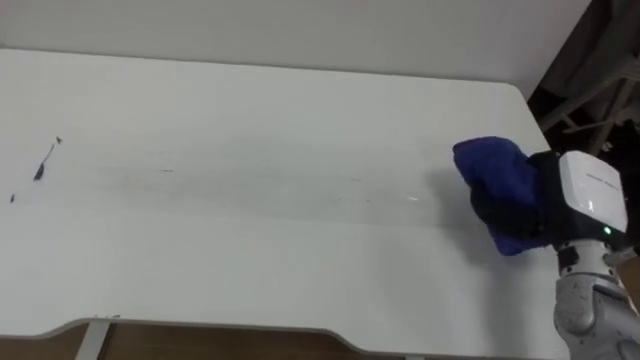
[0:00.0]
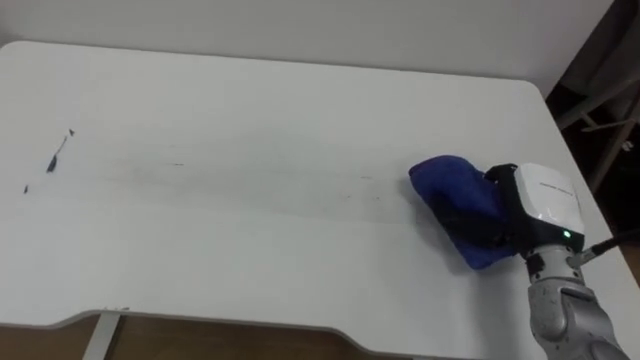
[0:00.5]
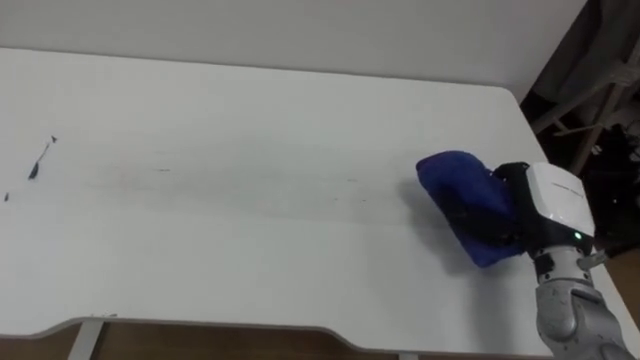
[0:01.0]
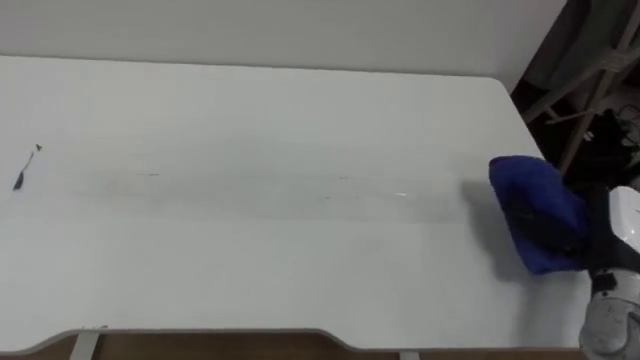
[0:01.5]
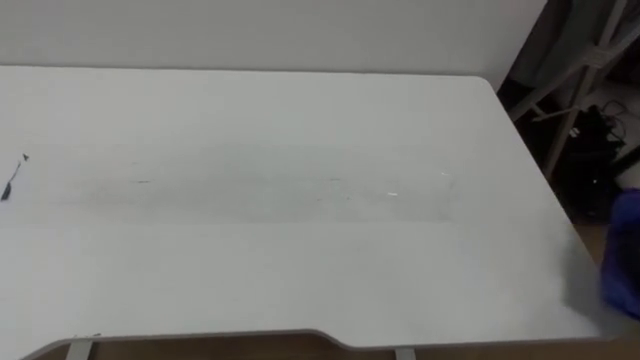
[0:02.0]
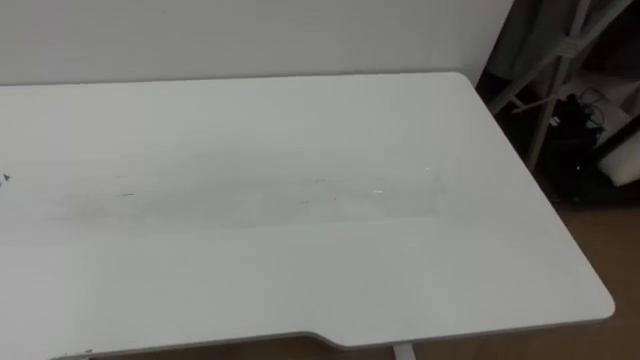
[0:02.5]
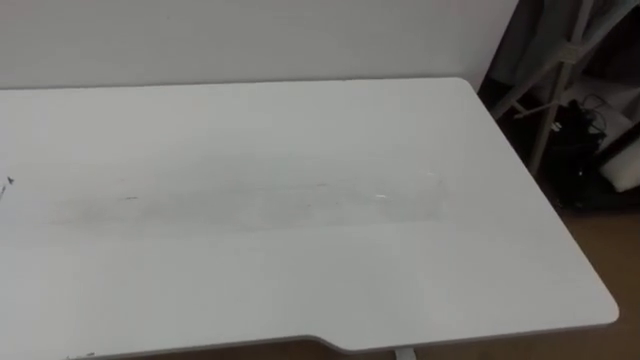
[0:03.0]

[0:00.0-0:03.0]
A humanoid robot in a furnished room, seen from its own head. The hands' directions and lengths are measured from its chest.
Task of the whole recording: Wipe the blue pen marks off the table with the rag.
0:00.0 to 0:01.5: The right hand shifts by about 5 cm.

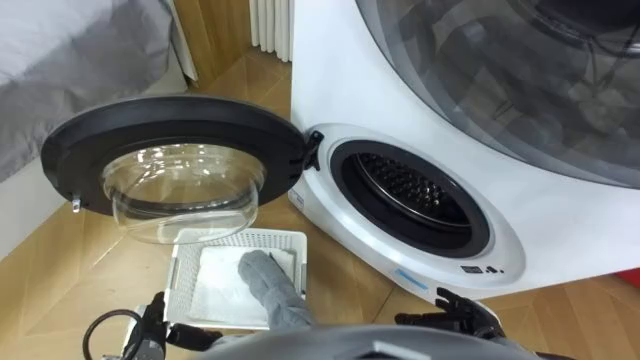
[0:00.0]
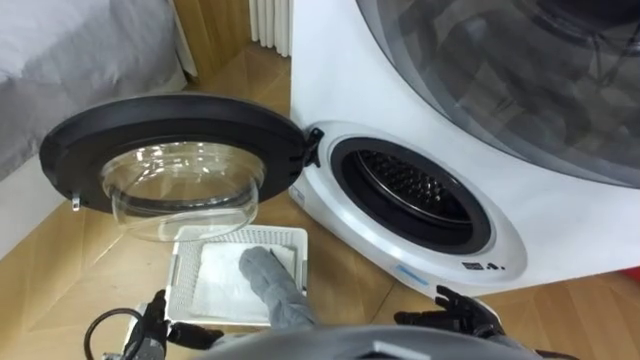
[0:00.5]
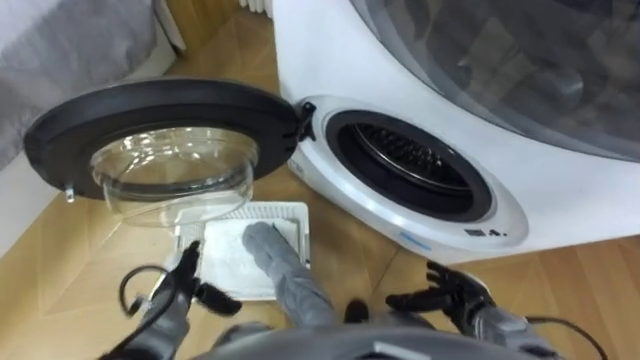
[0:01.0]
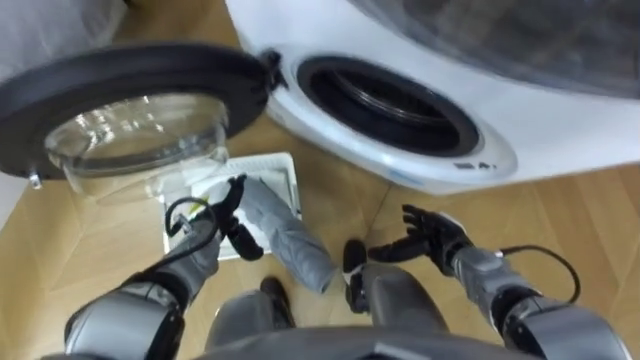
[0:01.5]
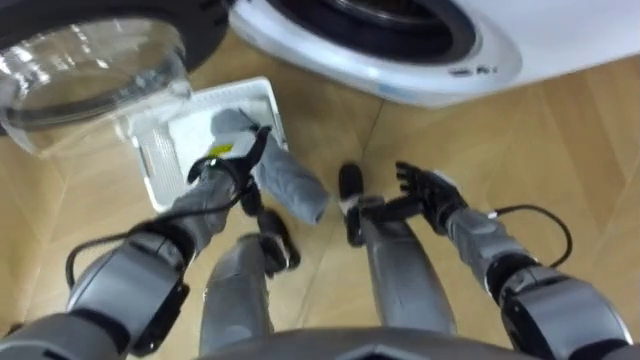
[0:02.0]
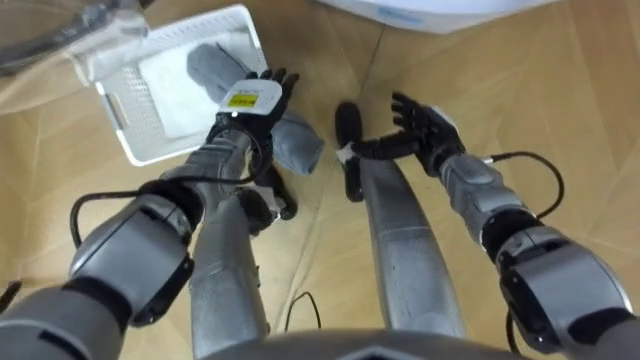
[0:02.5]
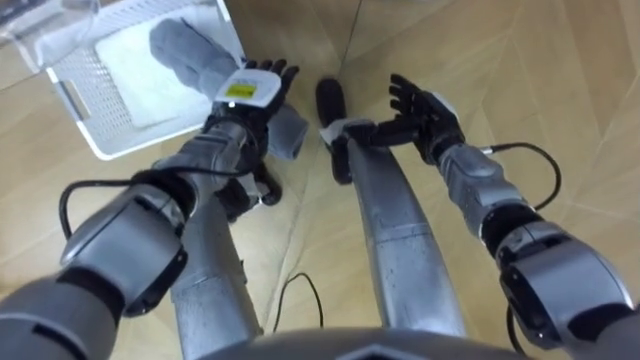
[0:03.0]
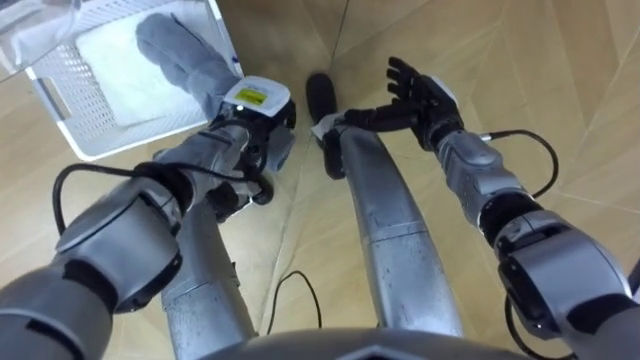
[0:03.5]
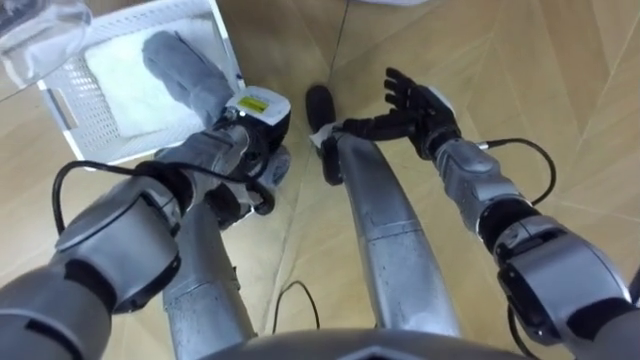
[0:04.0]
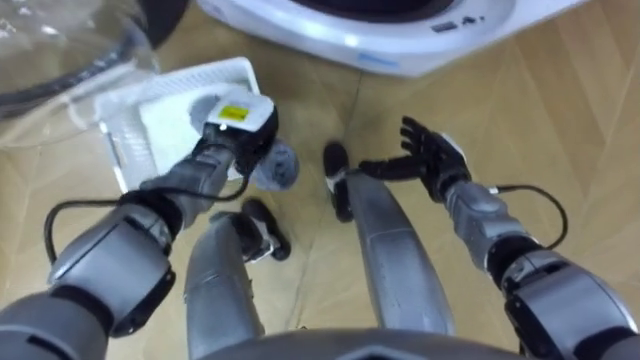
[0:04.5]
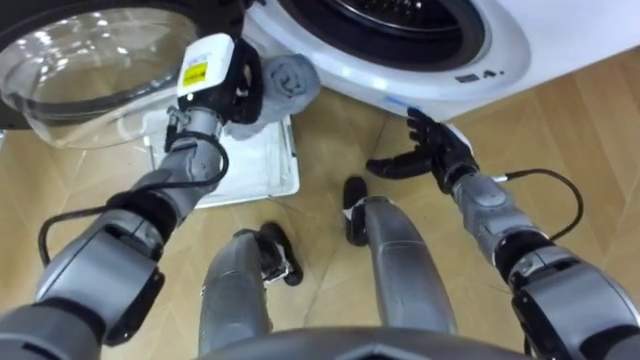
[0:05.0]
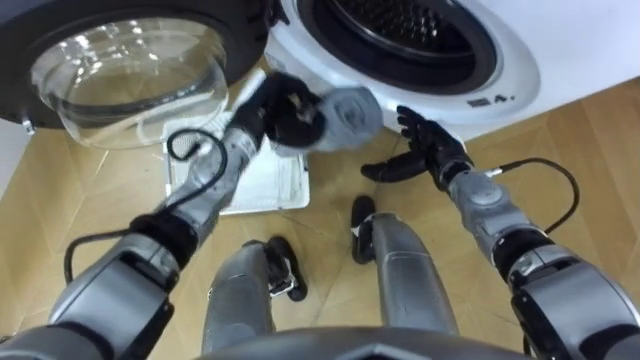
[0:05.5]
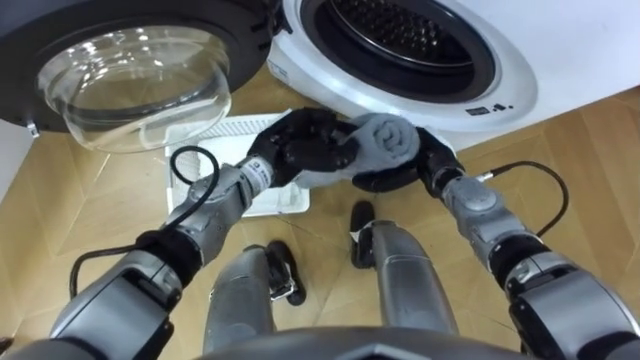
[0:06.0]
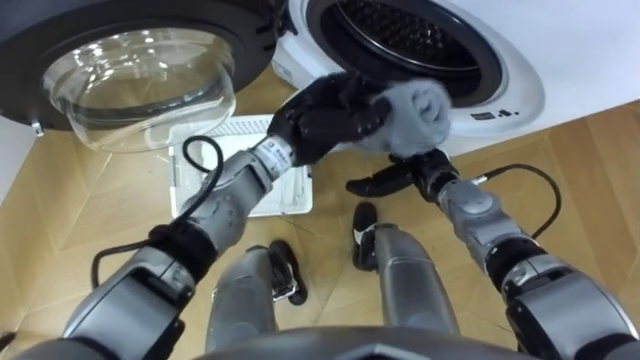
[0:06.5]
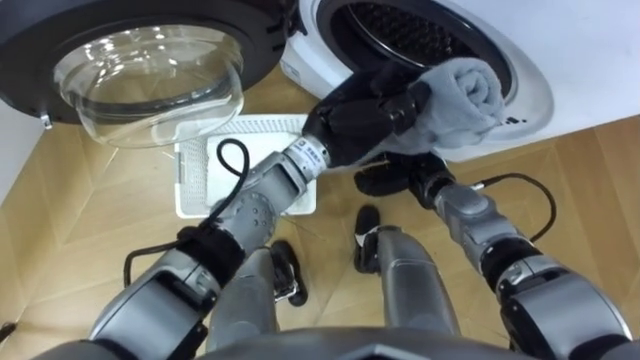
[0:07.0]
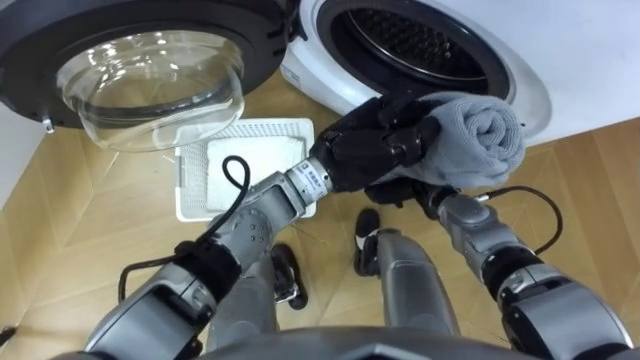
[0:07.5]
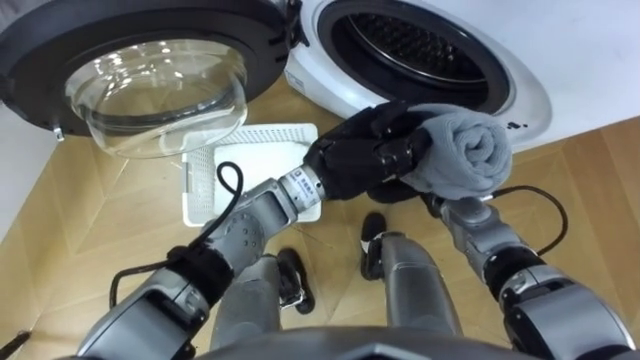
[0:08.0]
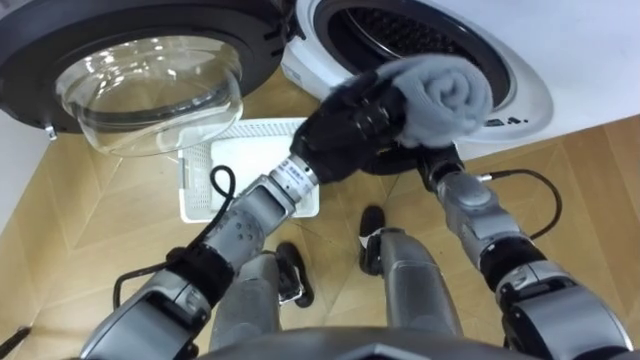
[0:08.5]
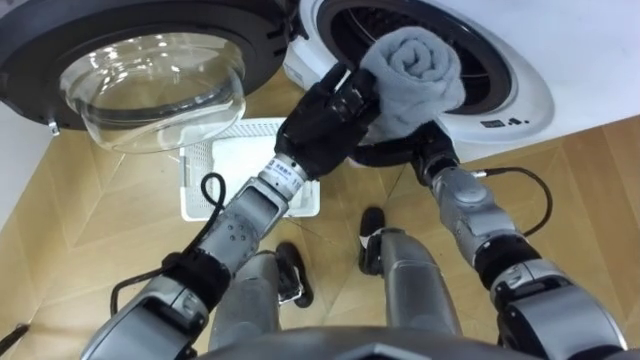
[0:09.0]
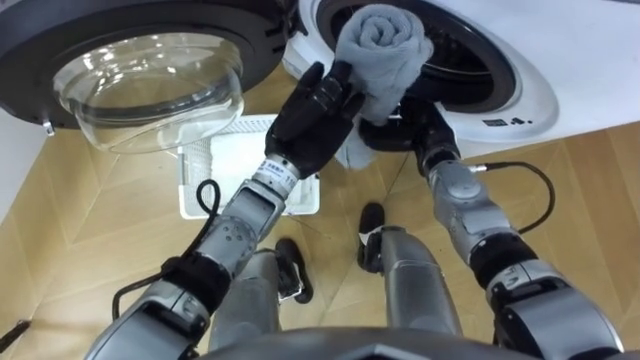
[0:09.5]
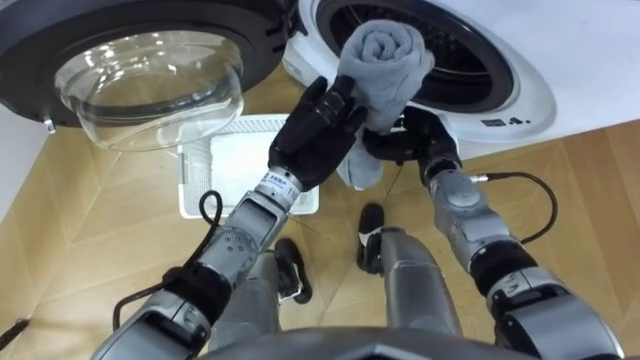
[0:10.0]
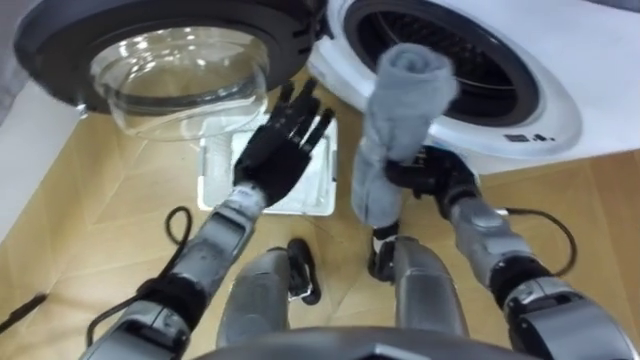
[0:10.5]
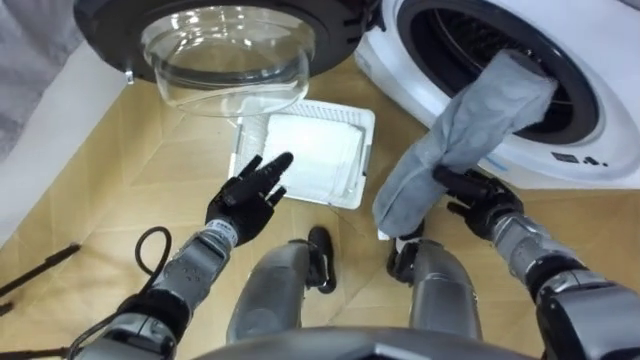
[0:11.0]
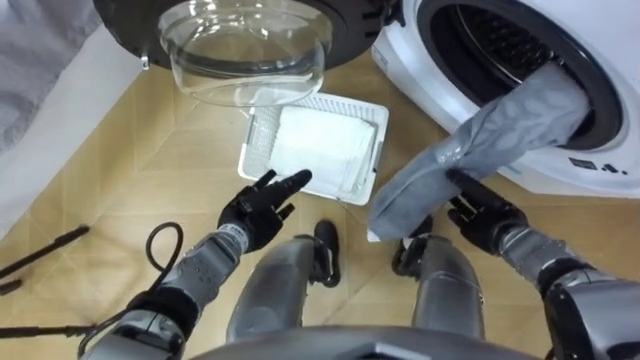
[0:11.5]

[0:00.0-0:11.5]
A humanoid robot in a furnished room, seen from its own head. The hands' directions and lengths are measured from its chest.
Task of the whole recording: Take the towel from the basket and put it into the washing machine.
0:02.0 to 0:04.0: The left hand changes place by about 5 cm, and closes its fingers. The right hand goes roughly 10 cm forward and upward.
0:04.0 to 0:06.0: The left hand ends up some 5 cm from where it was. Meanwhile the right hand moves about 5 cm.
0:06.0 to 0:07.5: The left hand heads to the right and upward, covering roughly 10 cm. The right hand closes up.
0:07.5 to 0:09.5: The right hand travels upward by some 5 cm, and opens its fingers, while the left hand heads to the left, covering about 5 cm.
0:09.5 to 0:11.5: The left hand moves downward, to the left and backward, roughly 20 cm, and opens its fingers, while the right hand is displaced to the right, backward and downward by approximately 20 cm.

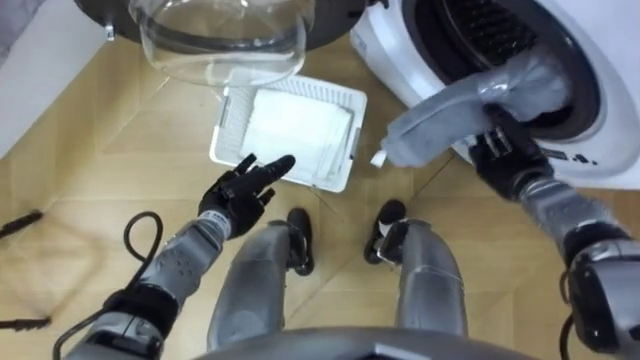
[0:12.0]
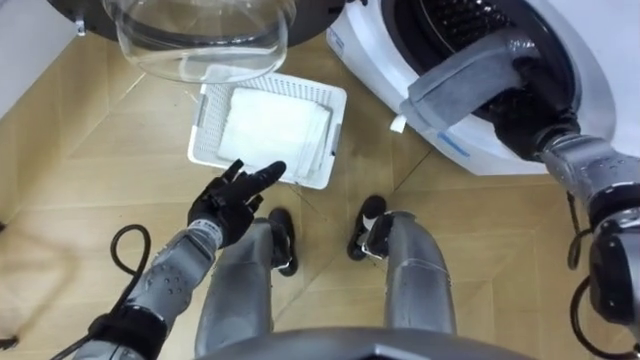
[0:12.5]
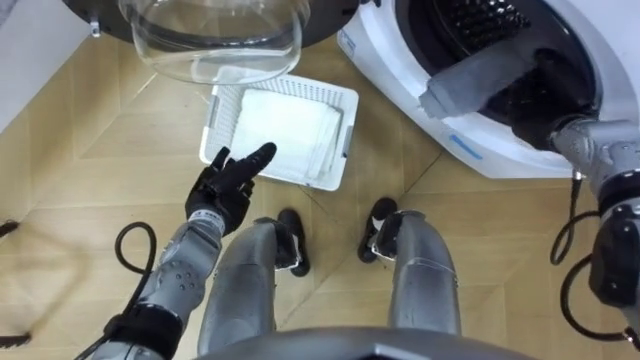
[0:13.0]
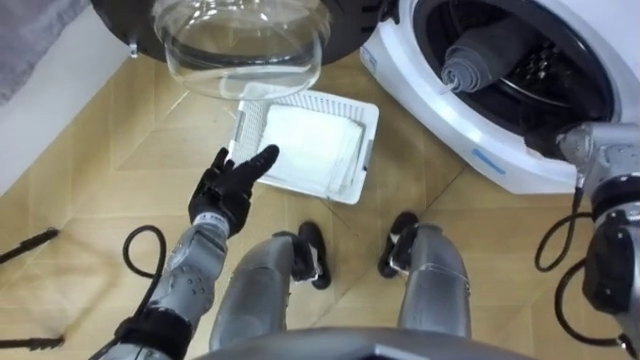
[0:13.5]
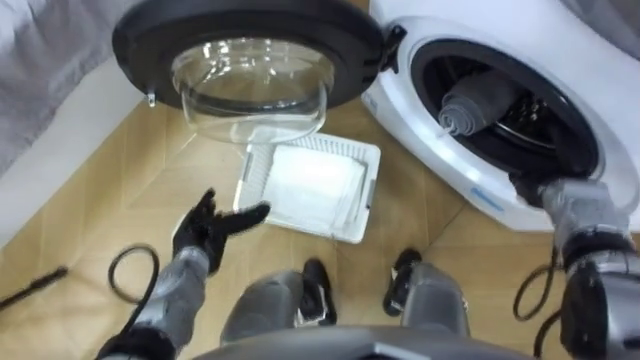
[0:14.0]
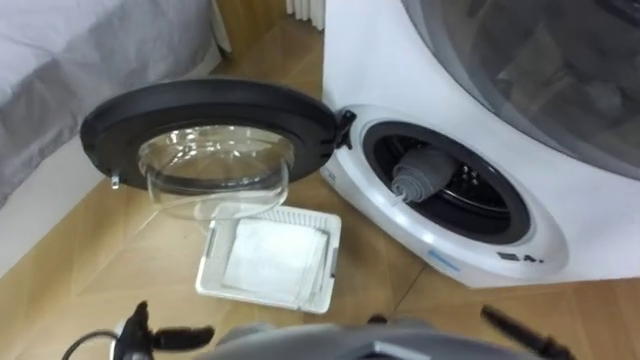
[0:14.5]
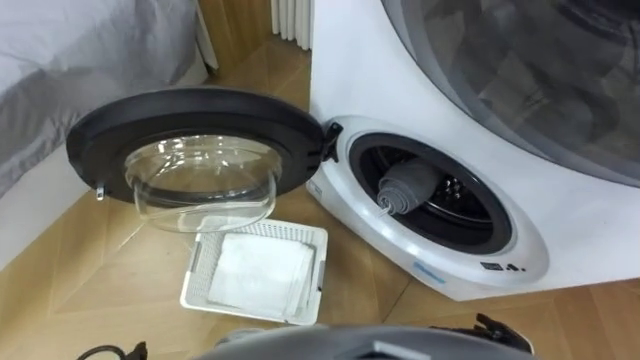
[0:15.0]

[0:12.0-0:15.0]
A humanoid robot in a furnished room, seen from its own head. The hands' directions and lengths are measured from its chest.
Task of the whole recording: Take the towel from the basket and put it into the washing machine.
0:12.0 to 0:13.5: The right hand travels to the right by roughly 5 cm, and opens.

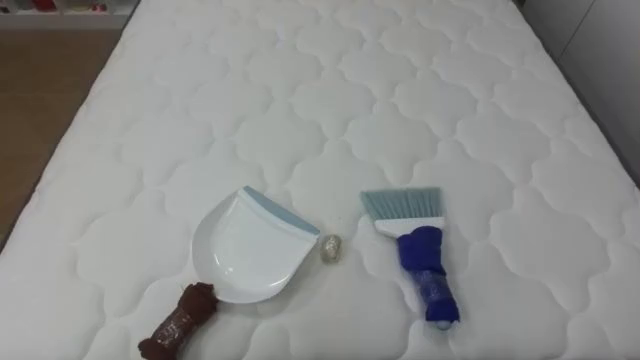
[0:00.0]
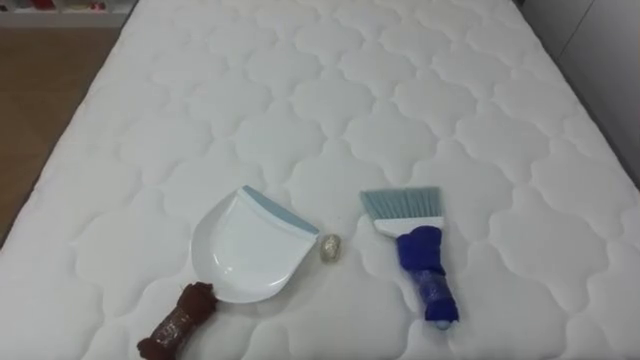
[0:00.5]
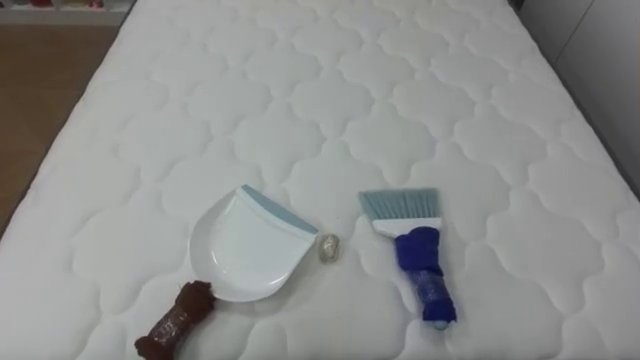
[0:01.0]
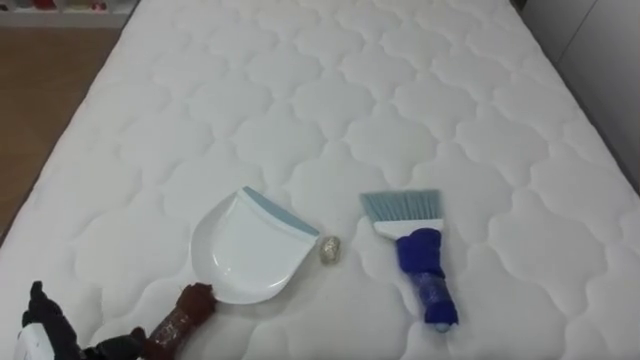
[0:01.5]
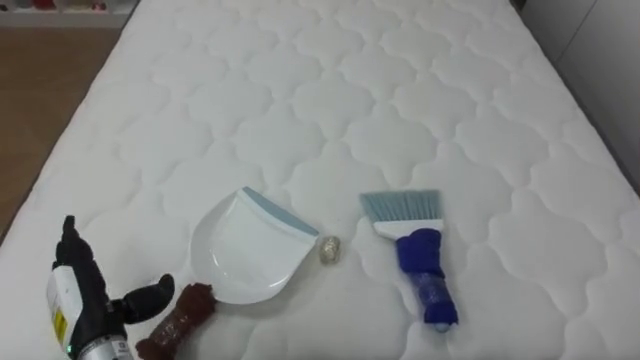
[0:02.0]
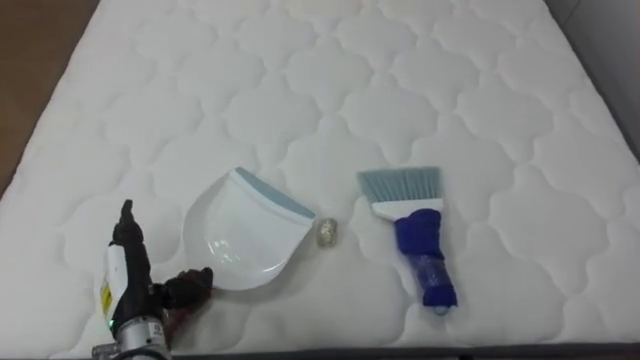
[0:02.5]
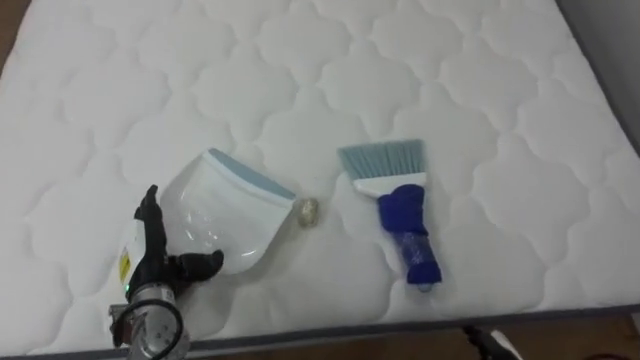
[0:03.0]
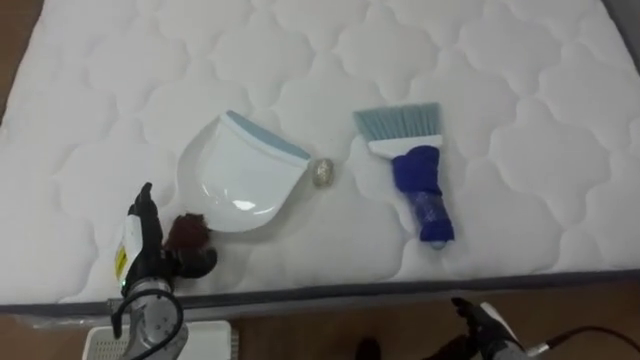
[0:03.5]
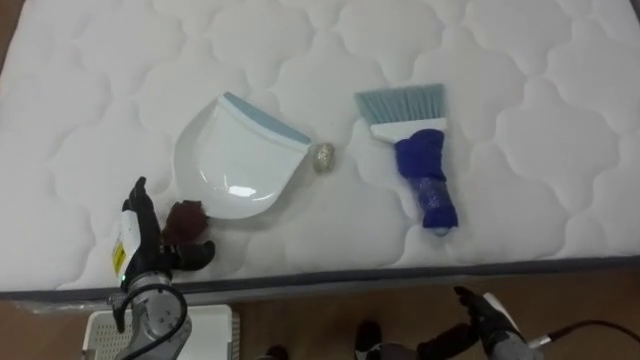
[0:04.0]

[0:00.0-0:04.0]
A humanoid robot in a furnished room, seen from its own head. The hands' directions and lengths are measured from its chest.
Task of the whole recording: Pick up the brush on your right and the dustpan on your left. Use the brush to sweep the crumpled paper on the bed into the dustpan, then turn left and empty it into the basket.
0:02.0 to 0:04.0: The left hand shifts about 10 cm forward.
